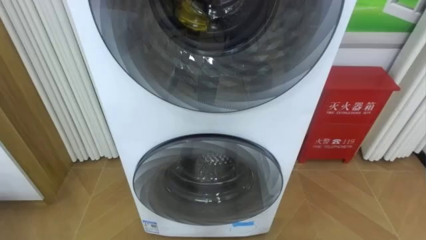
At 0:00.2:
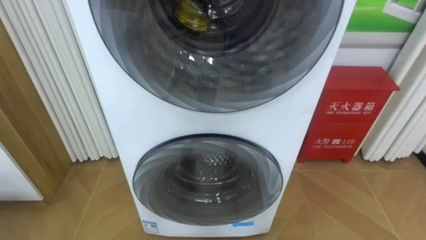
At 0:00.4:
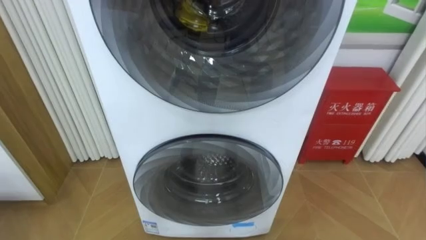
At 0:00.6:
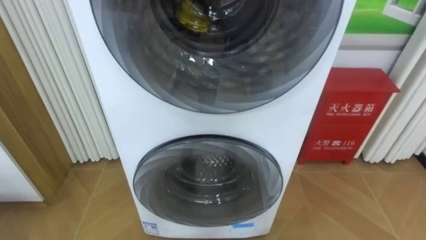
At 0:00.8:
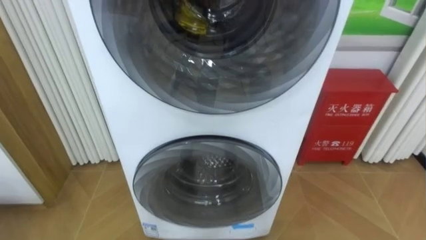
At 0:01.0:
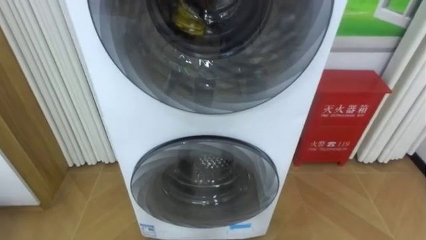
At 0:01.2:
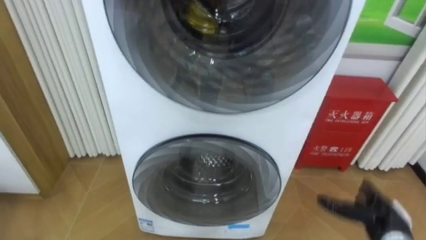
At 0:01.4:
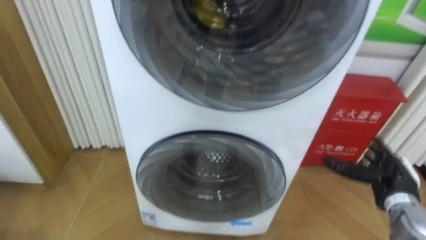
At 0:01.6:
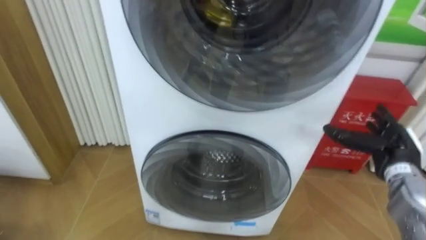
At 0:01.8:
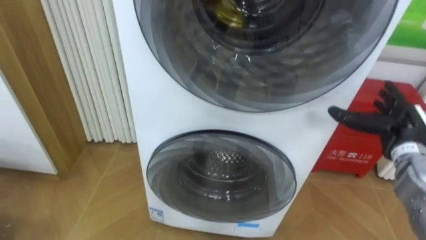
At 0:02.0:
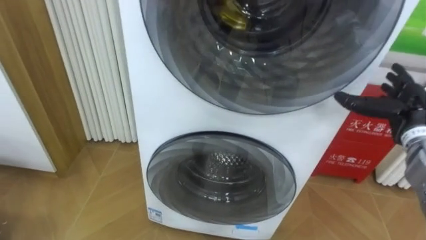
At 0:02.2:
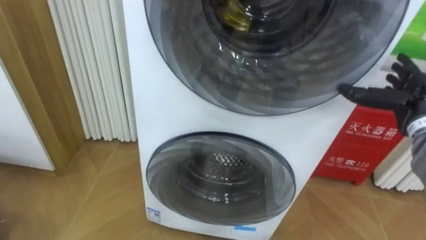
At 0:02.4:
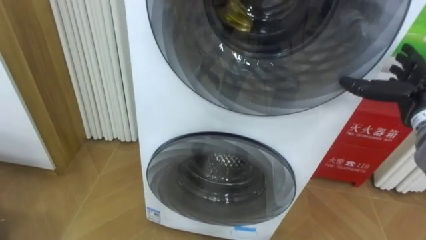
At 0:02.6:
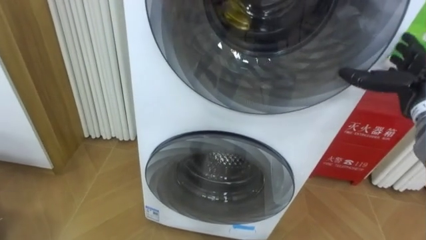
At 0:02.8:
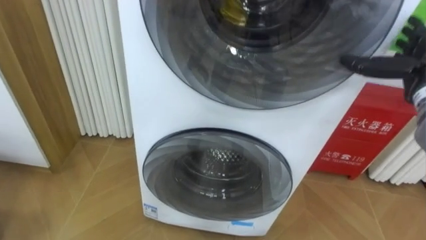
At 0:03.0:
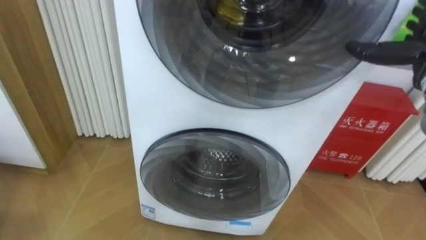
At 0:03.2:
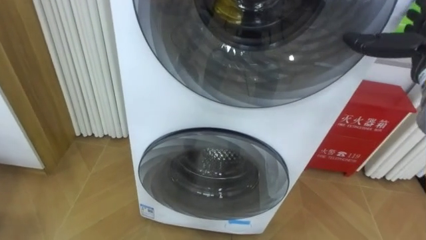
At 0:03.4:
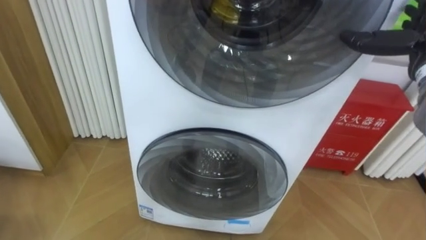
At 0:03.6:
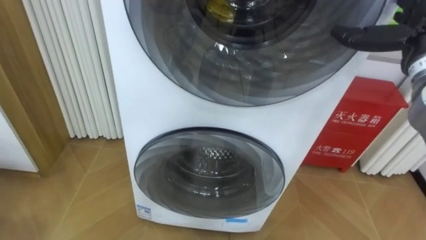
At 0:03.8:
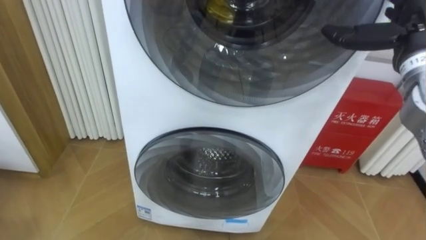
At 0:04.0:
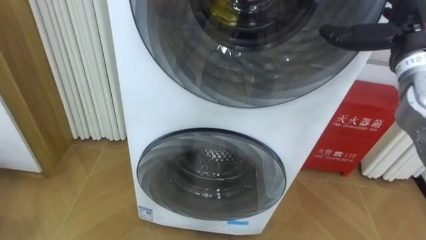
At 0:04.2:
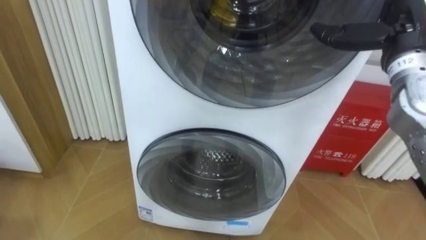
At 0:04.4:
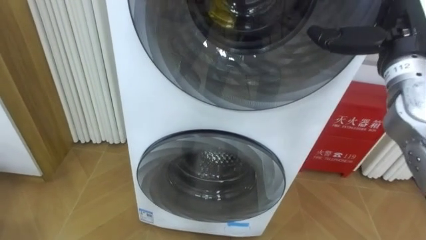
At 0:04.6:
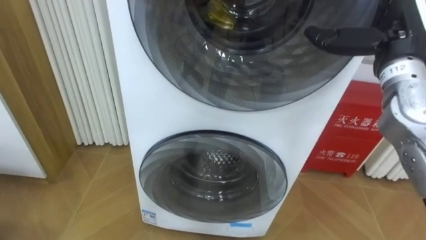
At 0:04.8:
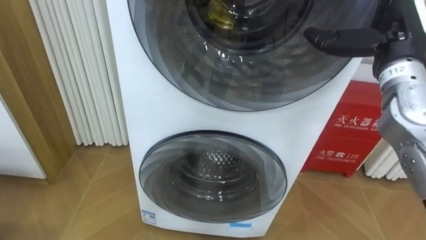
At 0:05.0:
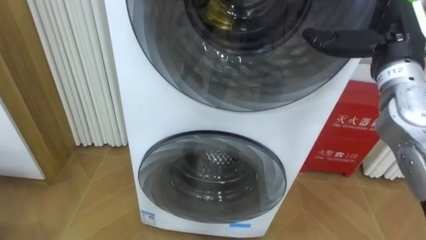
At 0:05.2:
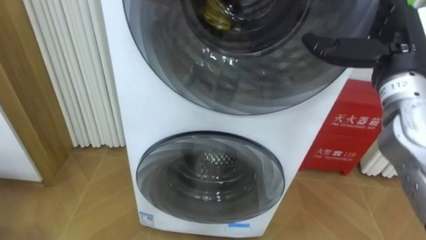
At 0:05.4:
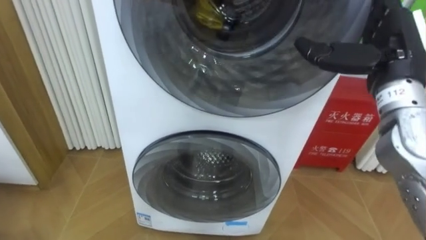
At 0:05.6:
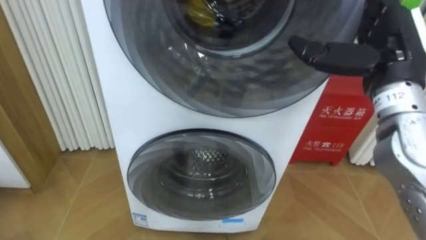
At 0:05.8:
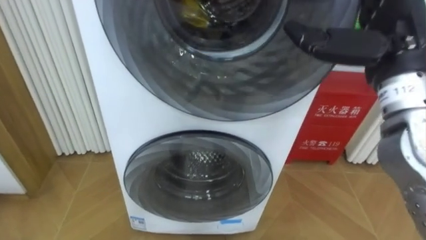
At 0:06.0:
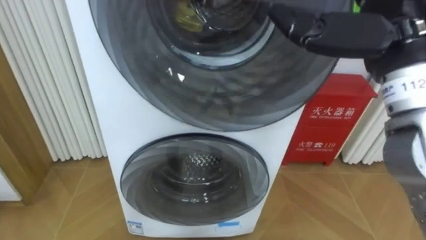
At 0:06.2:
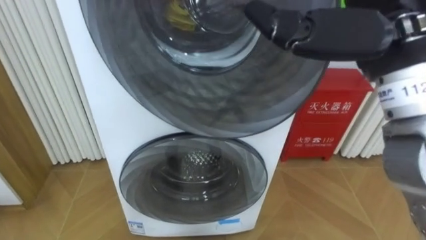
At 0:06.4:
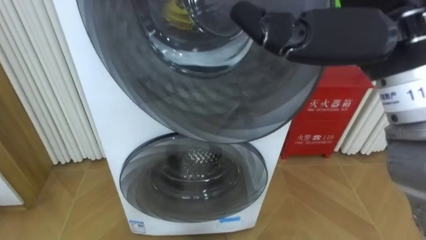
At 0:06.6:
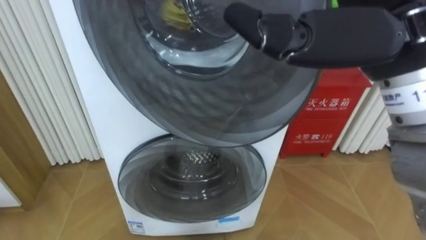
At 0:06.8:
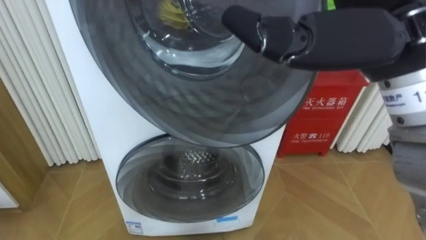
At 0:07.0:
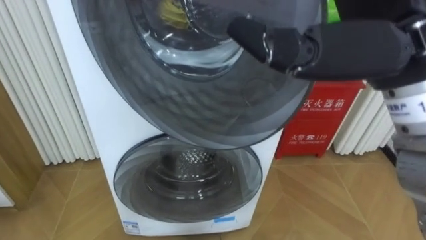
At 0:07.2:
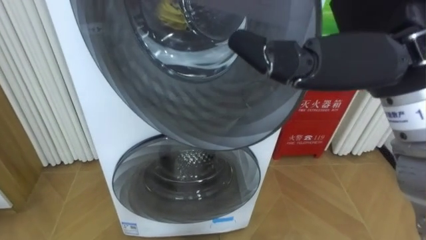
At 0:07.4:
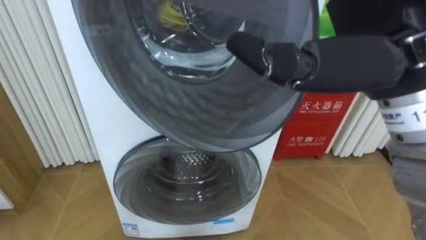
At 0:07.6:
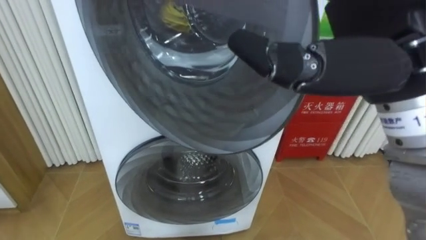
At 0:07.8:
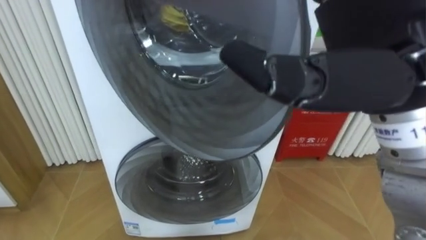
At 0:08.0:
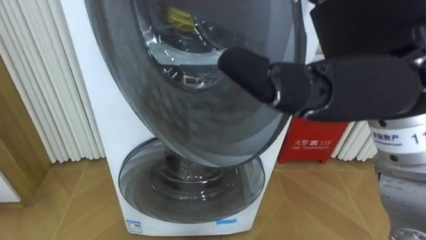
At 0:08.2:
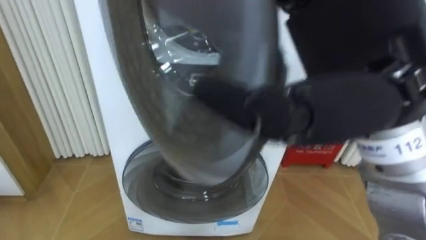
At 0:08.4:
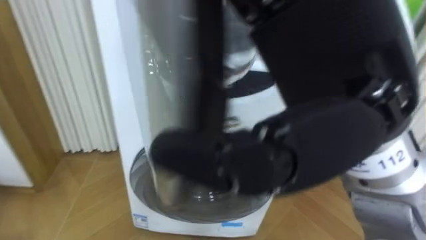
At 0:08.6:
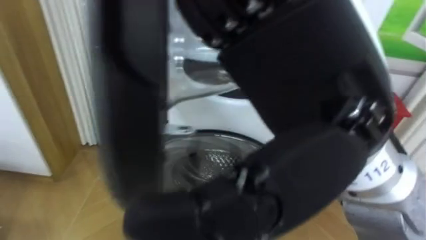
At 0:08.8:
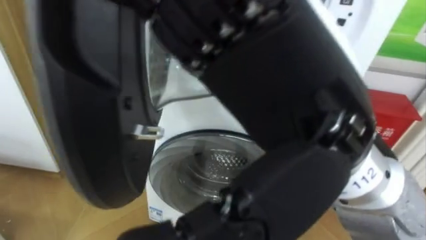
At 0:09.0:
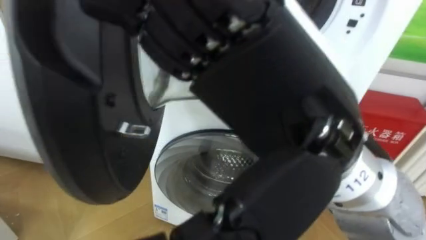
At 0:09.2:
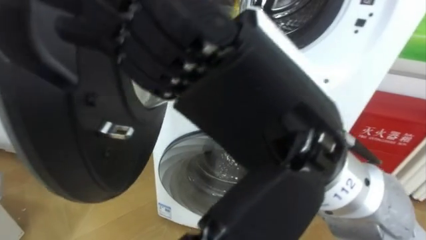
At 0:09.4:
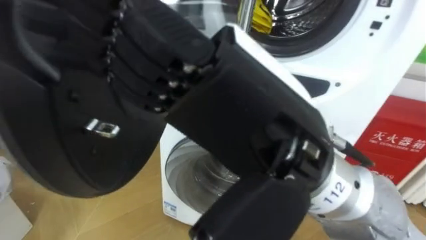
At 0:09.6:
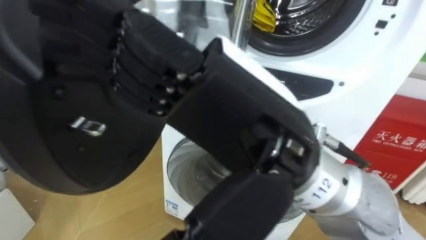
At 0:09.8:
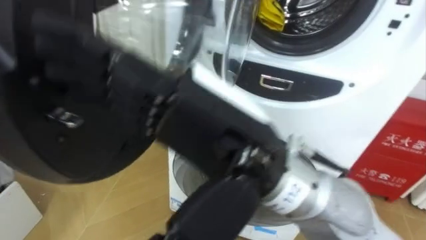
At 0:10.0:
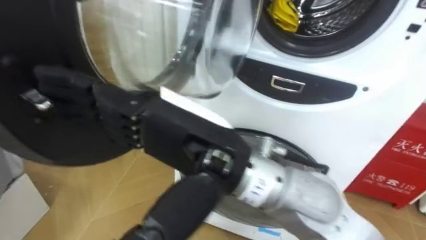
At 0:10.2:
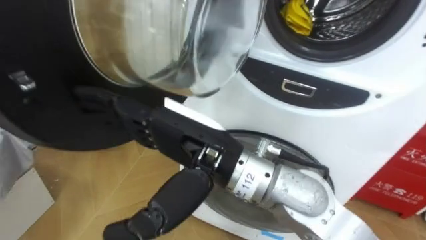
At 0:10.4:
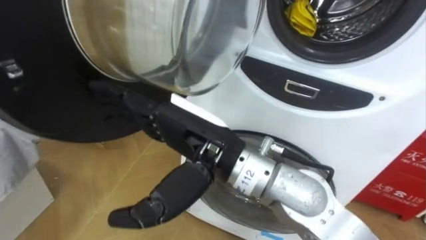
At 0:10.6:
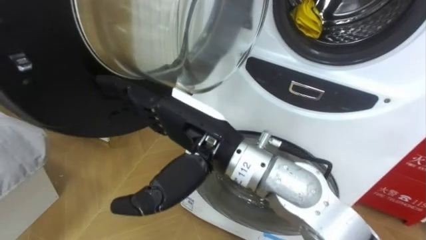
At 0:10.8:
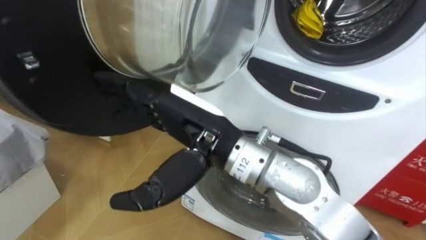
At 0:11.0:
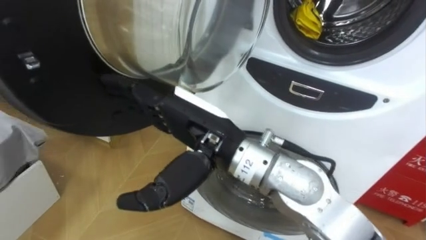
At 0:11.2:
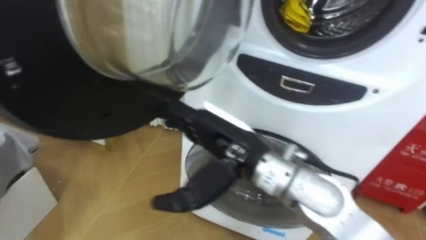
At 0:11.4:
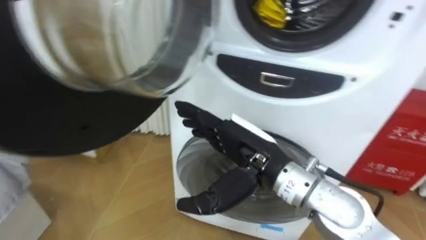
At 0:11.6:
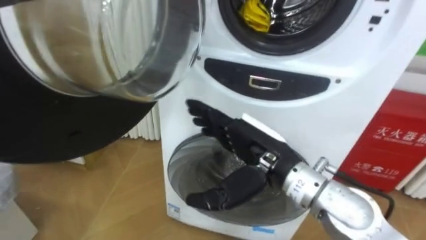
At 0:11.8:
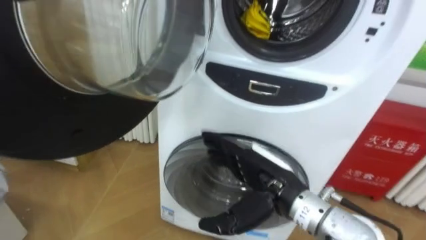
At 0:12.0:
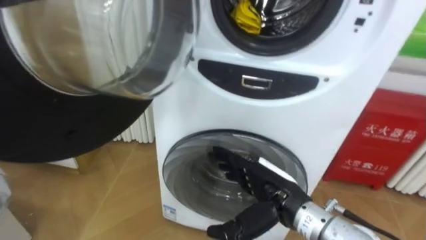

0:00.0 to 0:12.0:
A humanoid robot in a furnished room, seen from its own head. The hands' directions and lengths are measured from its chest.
Task of the whole recording: Open the washing machine door, take out the yellow clothes, place them in the box on the right, and close the washing machine door.
0:04.4 to 0:06.0: The right hand shifts about 15 cm backward, to the left and upward.
0:06.0 to 0:07.6: The right hand shifts roughly 5 cm backward.
0:07.6 to 0:09.0: The right hand is displaced to the left and backward by approximately 10 cm.
0:09.0 to 0:10.4: The right hand heads downward, forward and to the left, covering roughly 15 cm.
0:10.4 to 0:12.0: The right hand goes some 20 cm downward and to the right.

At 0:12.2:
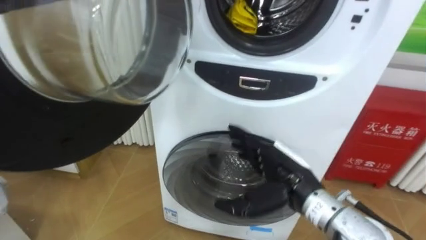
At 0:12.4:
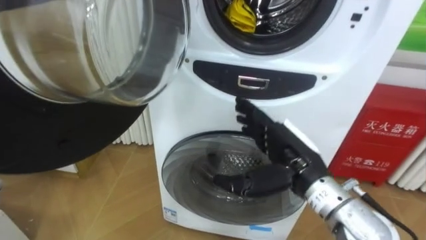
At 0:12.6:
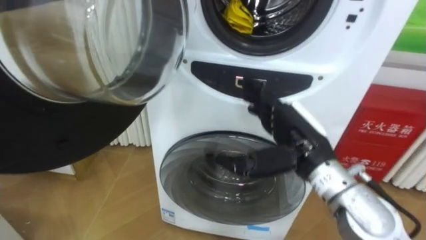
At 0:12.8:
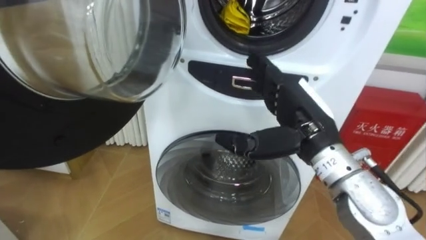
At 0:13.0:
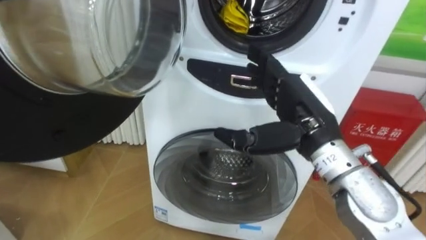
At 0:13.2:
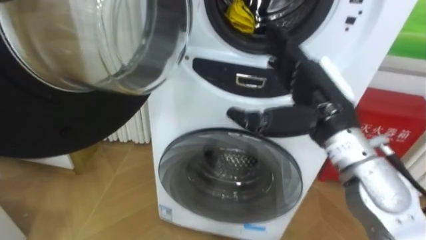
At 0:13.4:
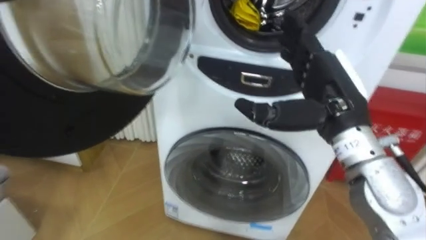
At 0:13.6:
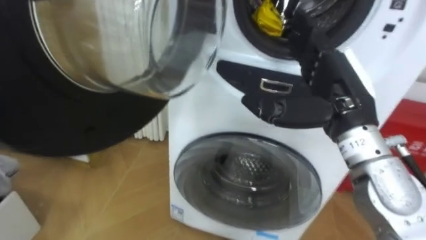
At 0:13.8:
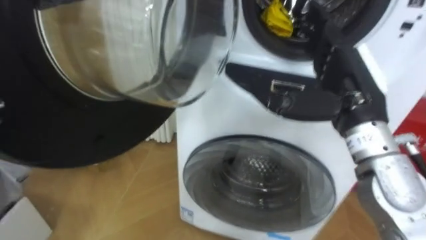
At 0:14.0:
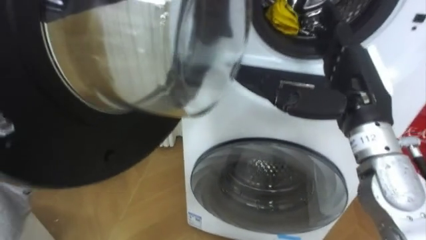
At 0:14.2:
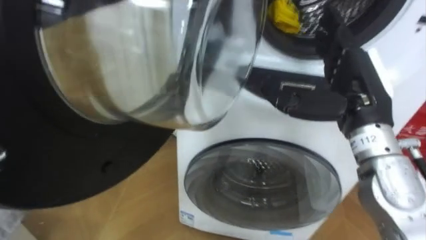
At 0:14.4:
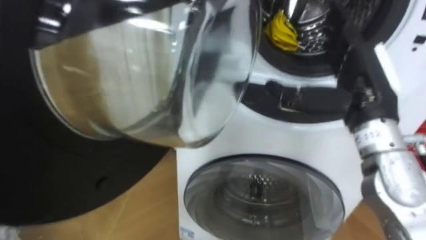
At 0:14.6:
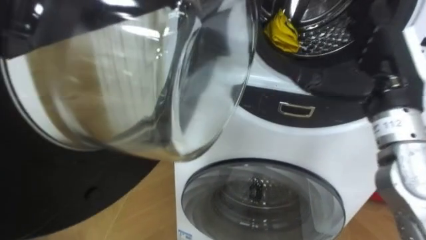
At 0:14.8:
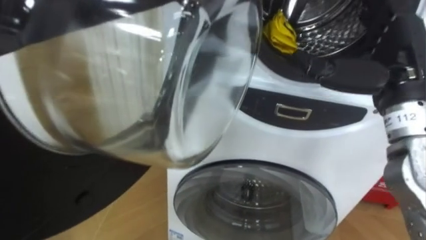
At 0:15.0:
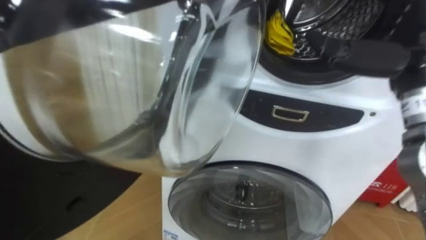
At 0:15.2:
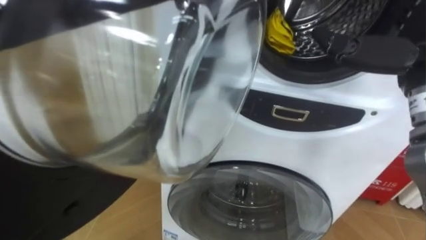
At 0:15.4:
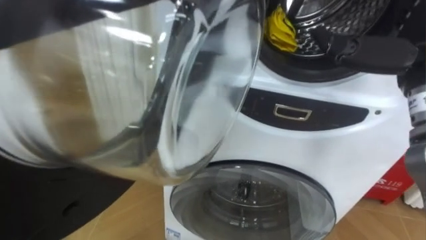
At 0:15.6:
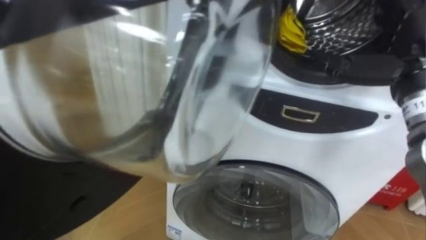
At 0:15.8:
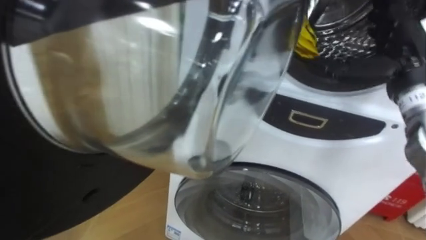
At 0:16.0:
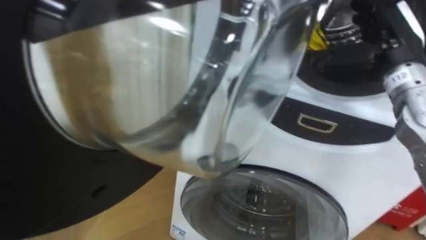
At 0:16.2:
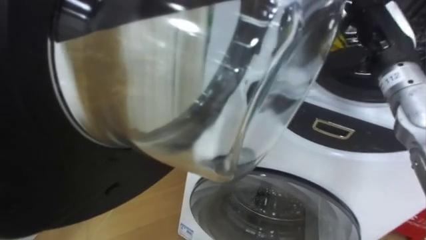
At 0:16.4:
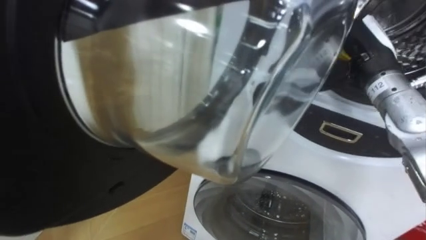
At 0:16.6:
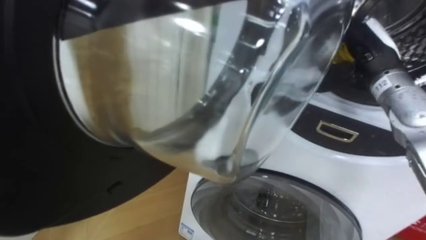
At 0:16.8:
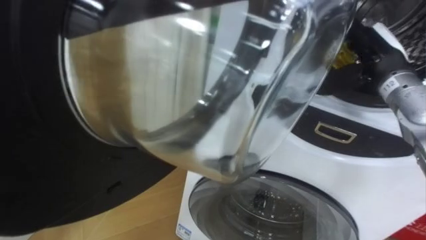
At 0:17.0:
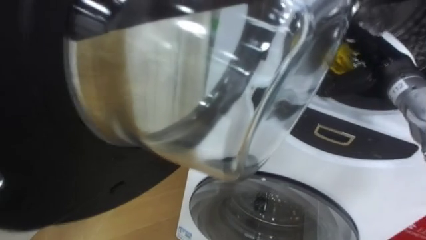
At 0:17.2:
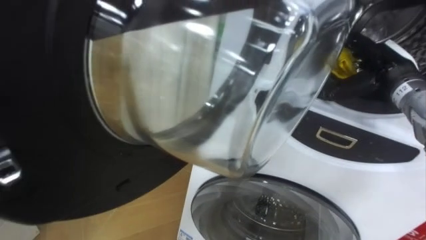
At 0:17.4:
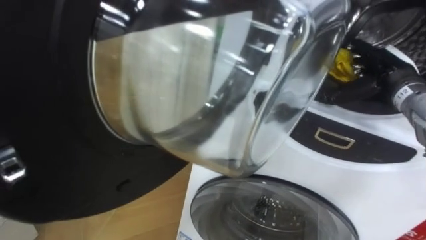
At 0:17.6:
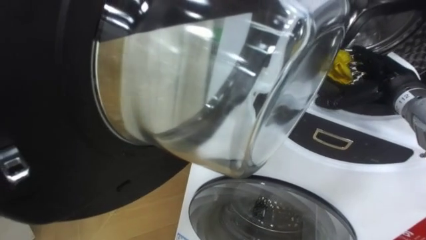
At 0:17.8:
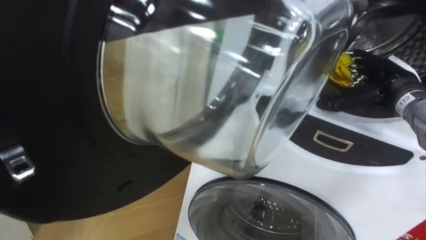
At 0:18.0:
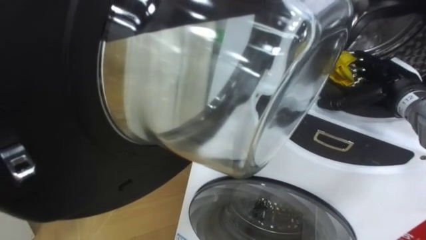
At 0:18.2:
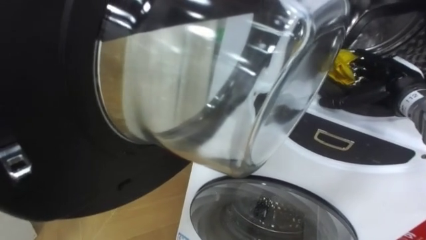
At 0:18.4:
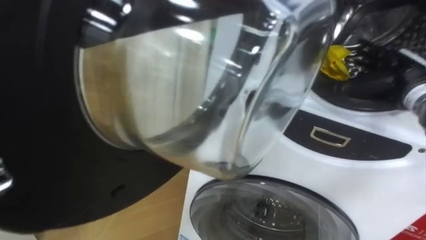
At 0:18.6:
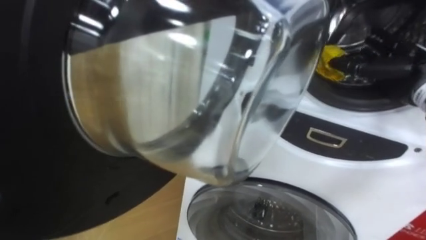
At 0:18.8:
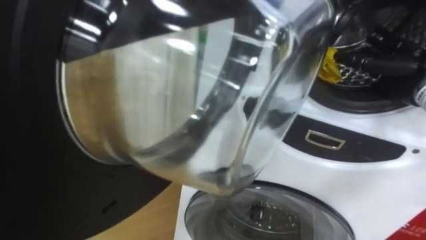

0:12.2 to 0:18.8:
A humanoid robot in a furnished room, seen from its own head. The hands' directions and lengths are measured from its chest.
Task of the whole recording: Open the washing machine door, take out the yellow clothes, place them in the box on the right, and close the washing machine door.
0:12.2 to 0:13.8: The right hand goes about 15 cm upward and to the right.
0:13.8 to 0:15.4: The right hand heads to the right and upward, covering about 10 cm.
0:15.4 to 0:17.2: The right hand shifts some 15 cm forward and downward.
